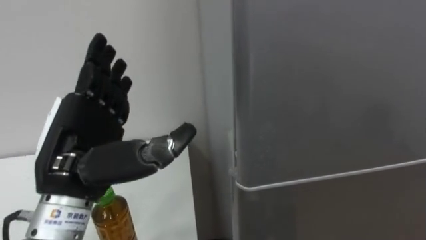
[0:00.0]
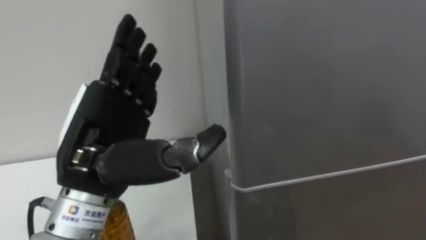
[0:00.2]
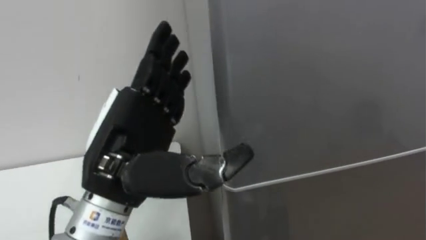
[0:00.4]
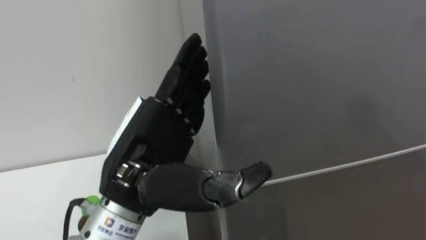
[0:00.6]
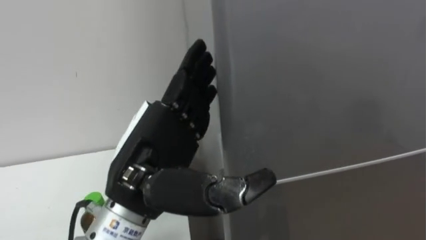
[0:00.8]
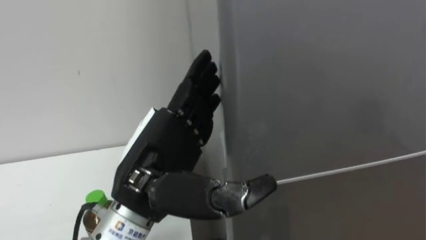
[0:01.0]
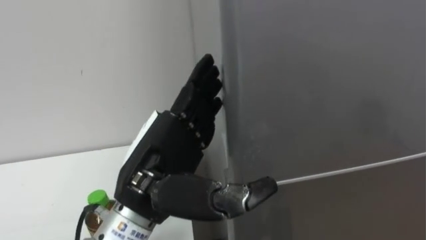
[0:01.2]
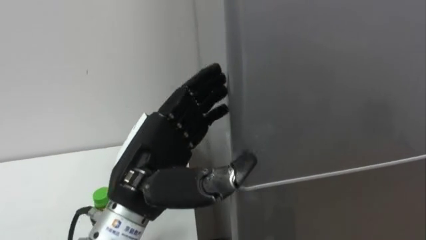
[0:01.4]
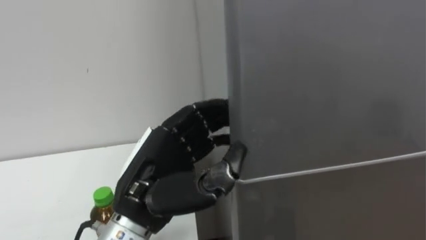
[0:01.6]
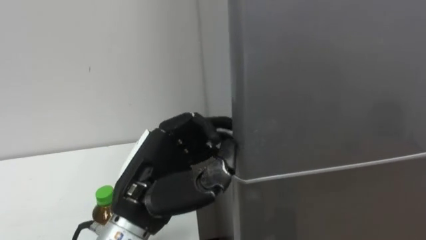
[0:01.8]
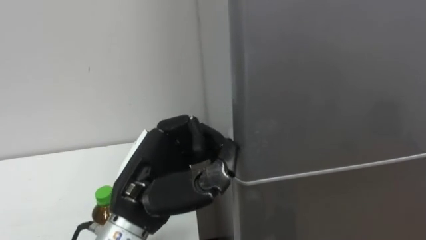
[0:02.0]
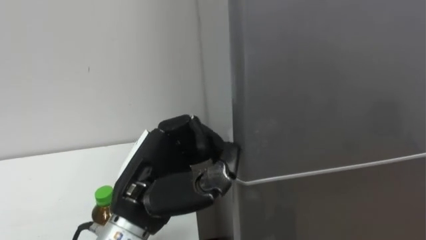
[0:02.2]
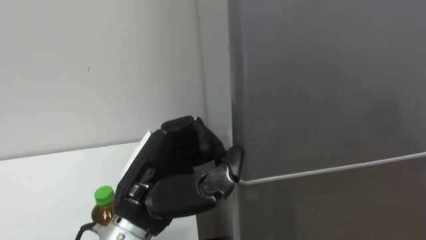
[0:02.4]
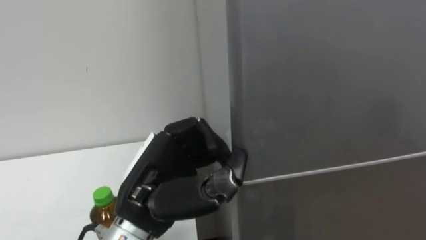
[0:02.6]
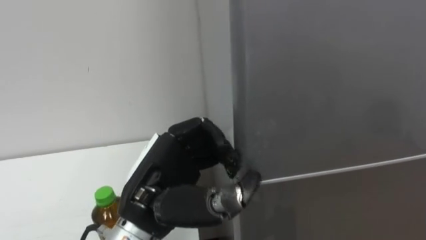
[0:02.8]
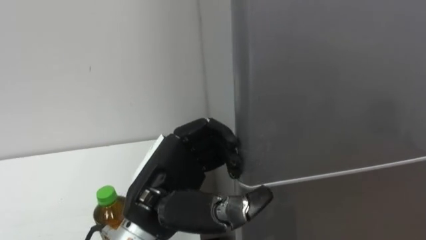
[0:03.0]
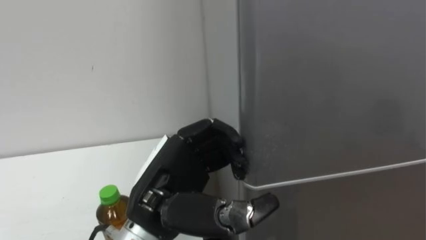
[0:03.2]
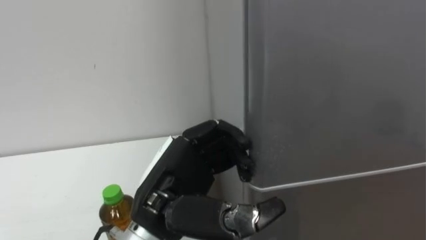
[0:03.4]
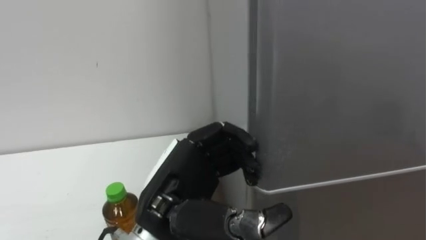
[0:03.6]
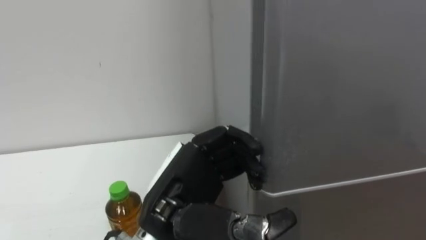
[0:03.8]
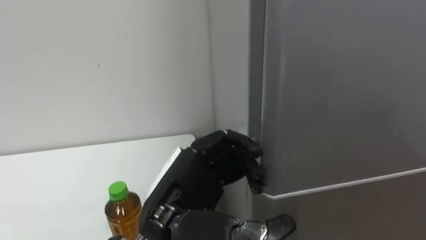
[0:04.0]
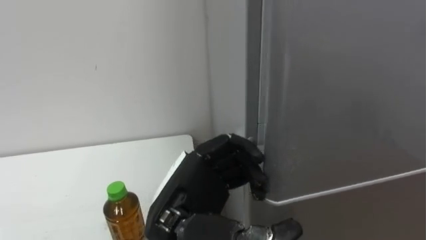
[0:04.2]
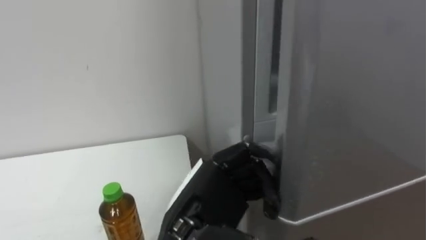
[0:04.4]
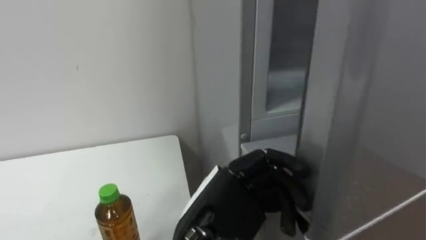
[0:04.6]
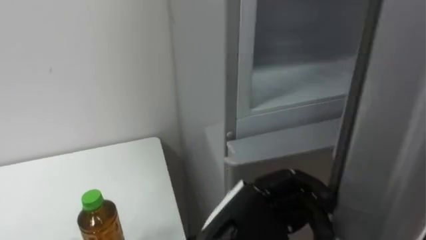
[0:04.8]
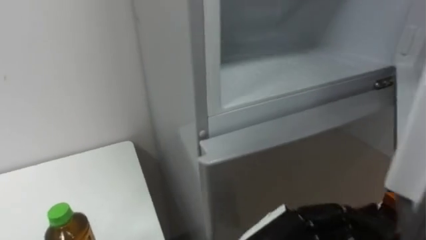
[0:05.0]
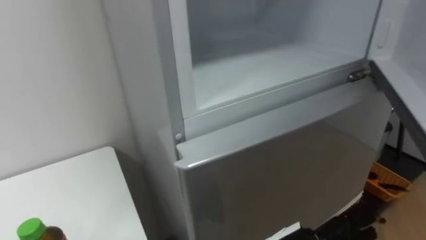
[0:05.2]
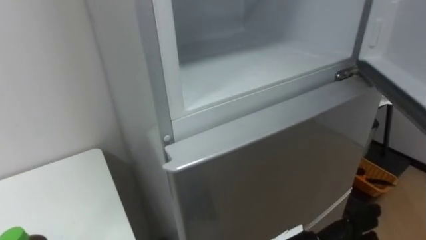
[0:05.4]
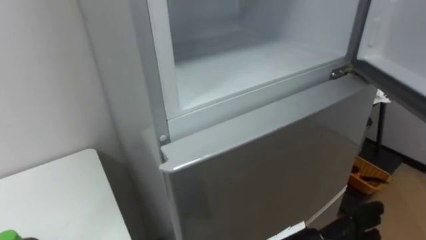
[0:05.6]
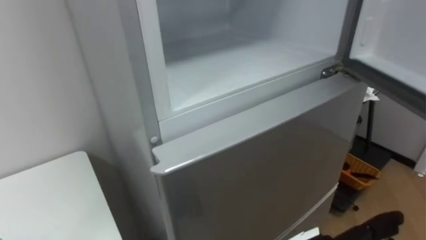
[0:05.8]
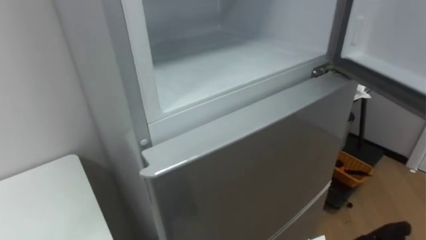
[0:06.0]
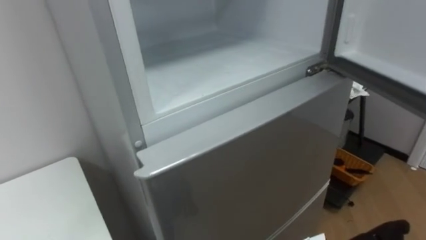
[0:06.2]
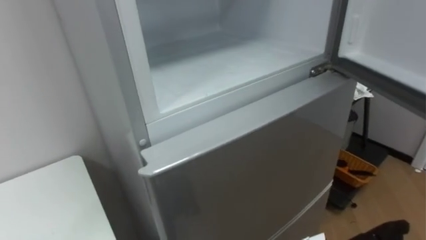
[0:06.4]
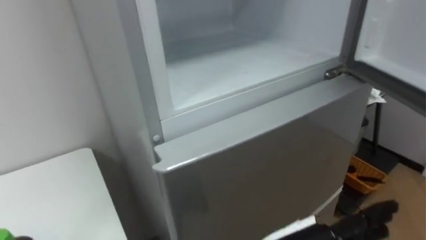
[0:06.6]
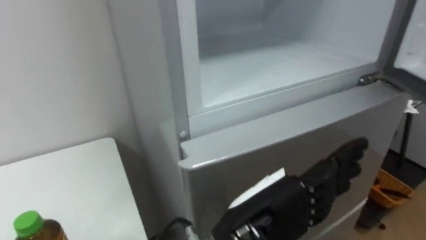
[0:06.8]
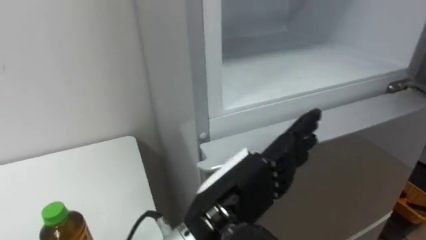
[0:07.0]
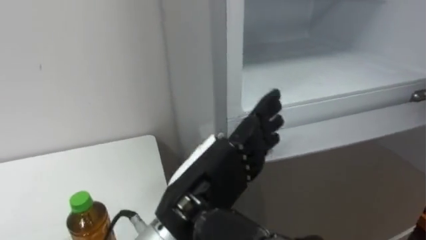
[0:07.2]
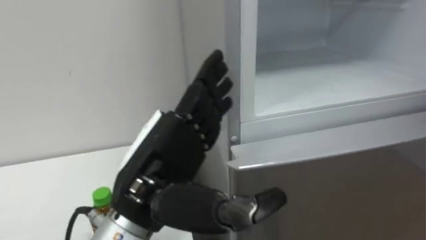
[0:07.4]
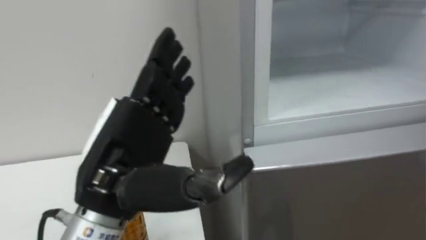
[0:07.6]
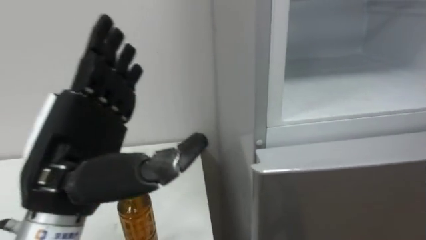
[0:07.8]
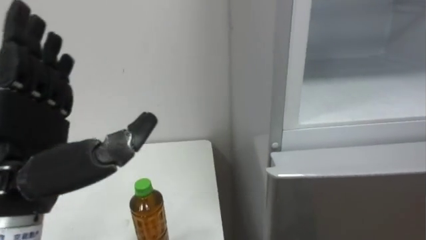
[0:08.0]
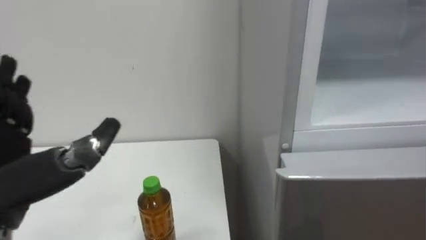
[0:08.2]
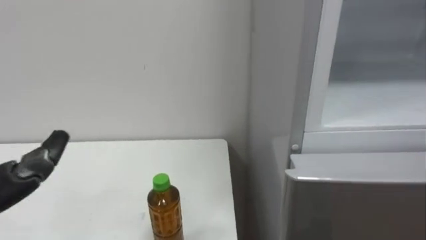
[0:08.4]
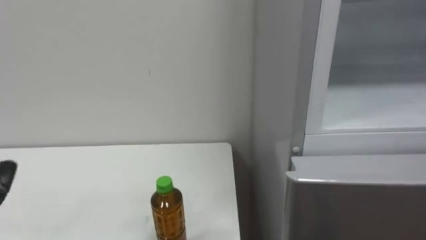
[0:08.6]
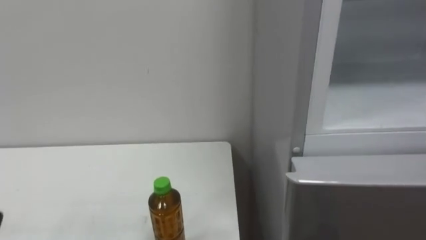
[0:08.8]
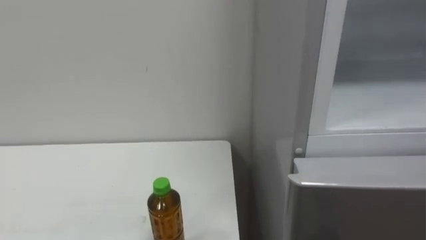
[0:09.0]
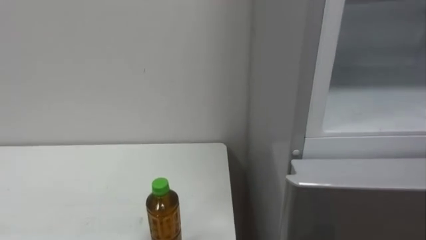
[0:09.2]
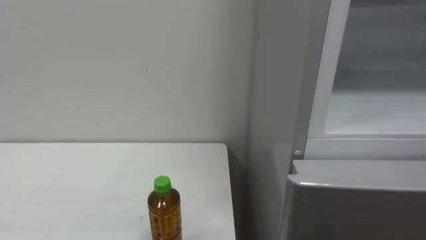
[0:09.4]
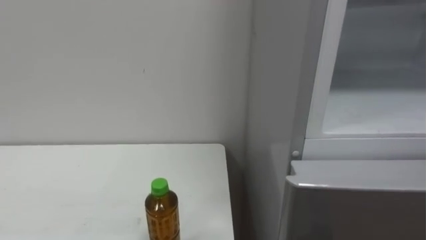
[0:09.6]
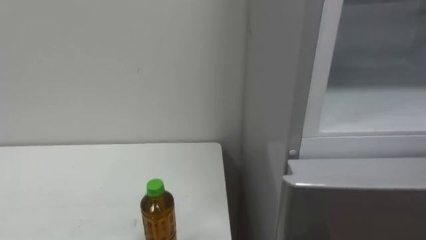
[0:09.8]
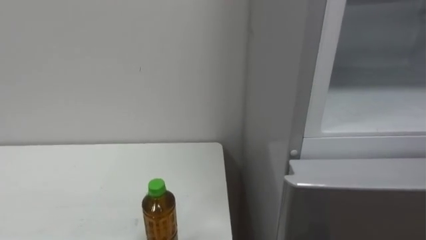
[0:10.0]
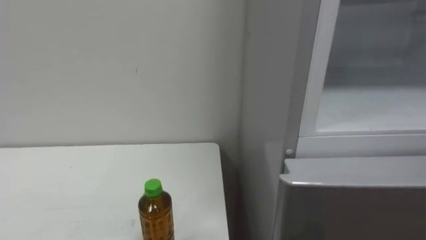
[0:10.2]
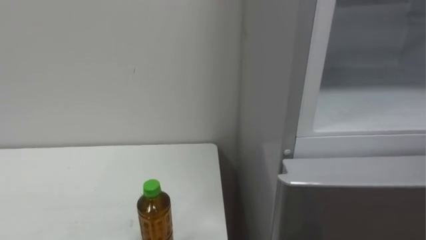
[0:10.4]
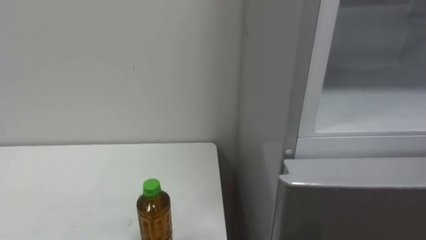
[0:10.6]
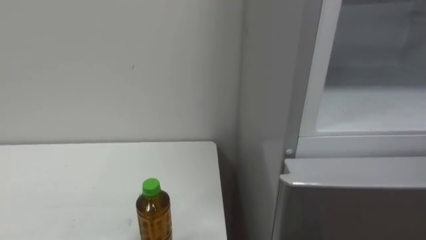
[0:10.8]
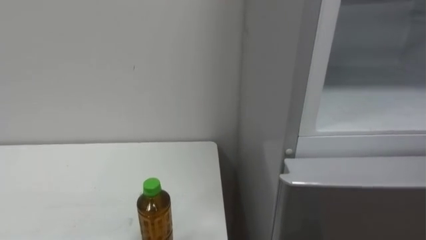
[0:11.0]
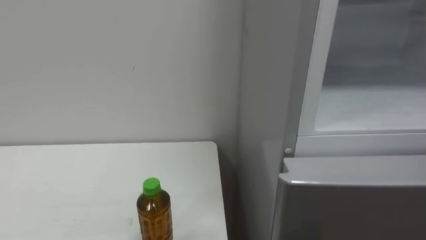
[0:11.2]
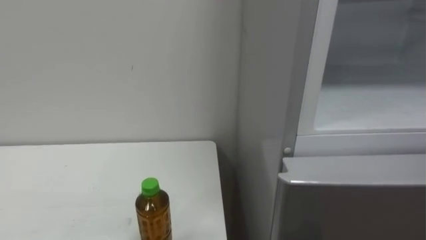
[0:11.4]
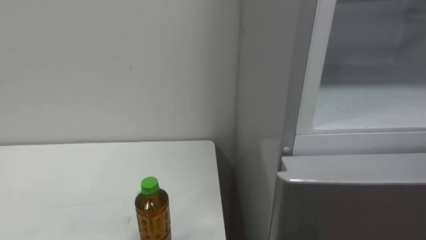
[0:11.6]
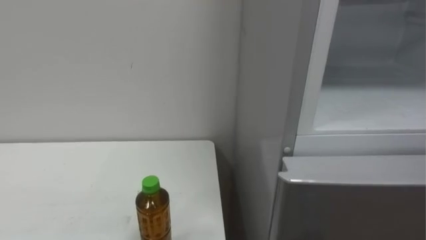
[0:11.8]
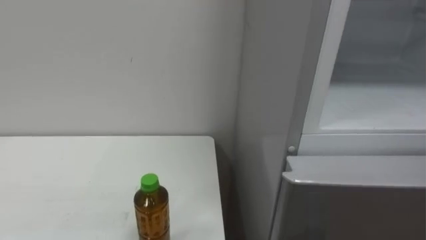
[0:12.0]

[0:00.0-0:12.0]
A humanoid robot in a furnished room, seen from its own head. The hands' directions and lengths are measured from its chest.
Task of the whole recording: Open the upper refrigerator door, put the drink from the table into the refrigerator, and then close the refrigerator door.
0:00.0 to 0:01.6: The left hand shifts about 10 cm to the right, and closes.
0:03.0 to 0:04.4: The left hand ends up some 5 cm from where it was, and opens up.

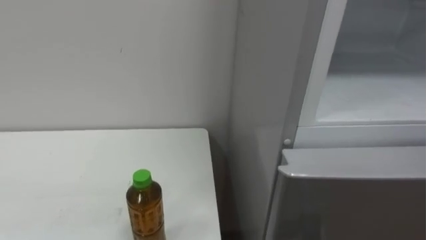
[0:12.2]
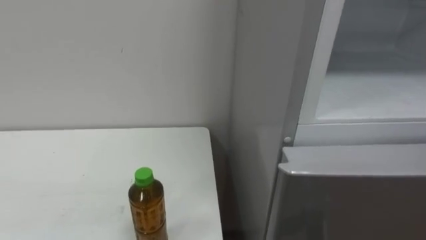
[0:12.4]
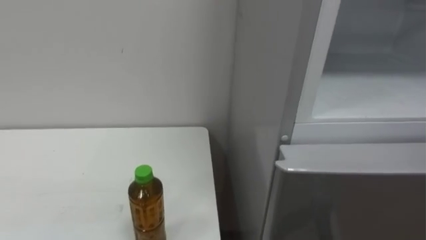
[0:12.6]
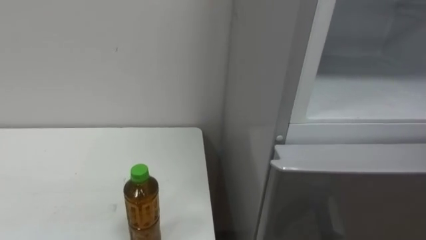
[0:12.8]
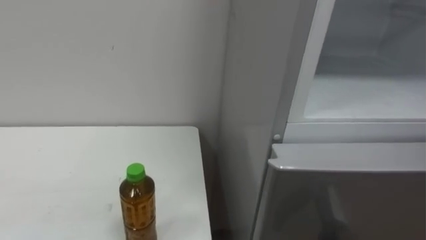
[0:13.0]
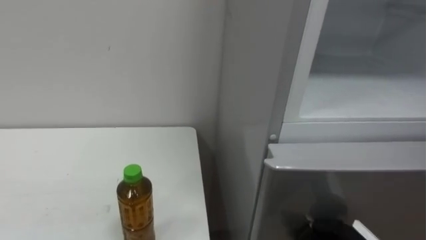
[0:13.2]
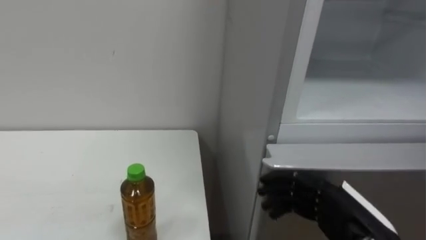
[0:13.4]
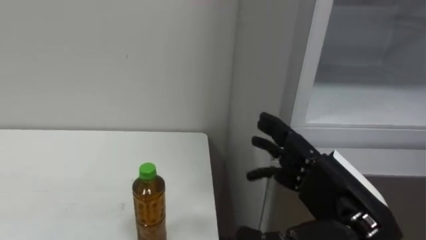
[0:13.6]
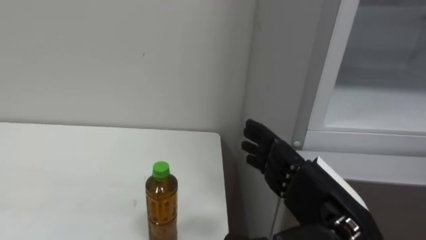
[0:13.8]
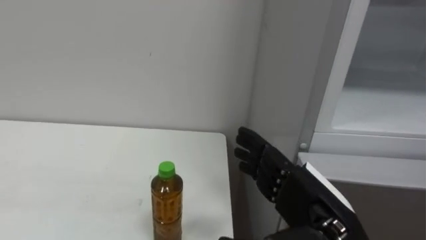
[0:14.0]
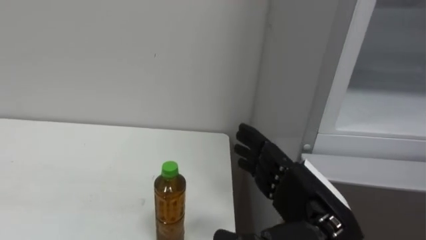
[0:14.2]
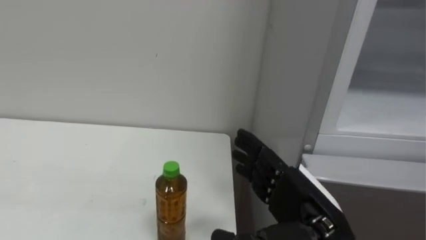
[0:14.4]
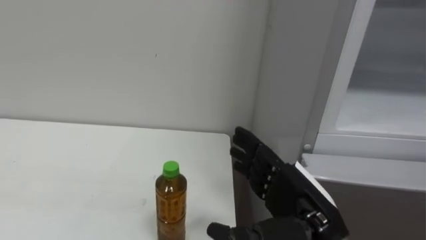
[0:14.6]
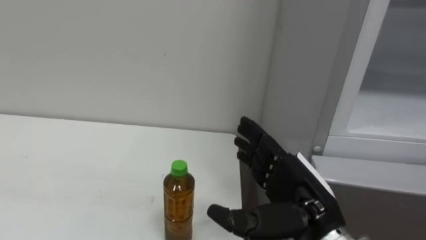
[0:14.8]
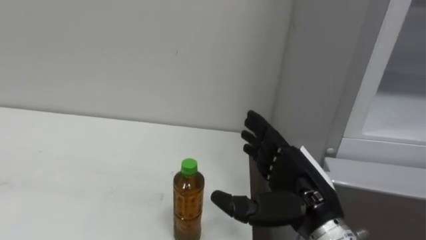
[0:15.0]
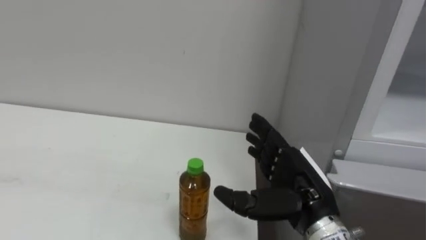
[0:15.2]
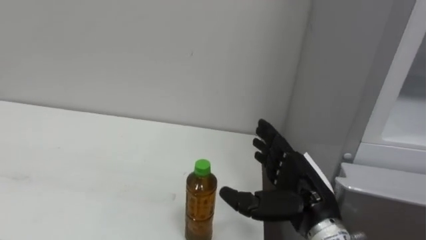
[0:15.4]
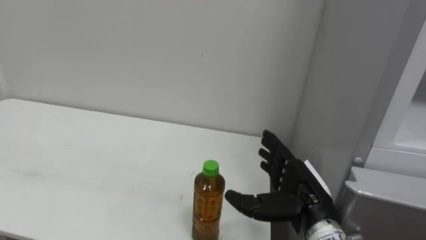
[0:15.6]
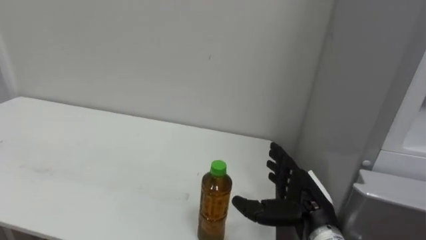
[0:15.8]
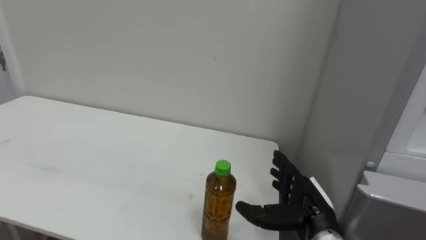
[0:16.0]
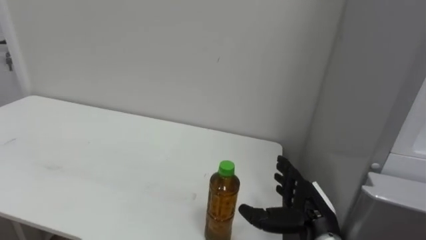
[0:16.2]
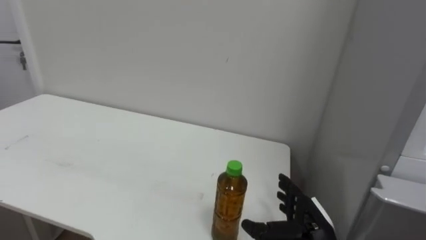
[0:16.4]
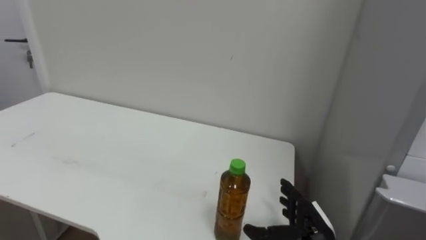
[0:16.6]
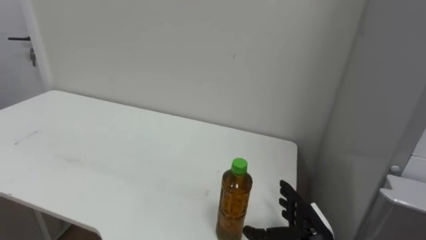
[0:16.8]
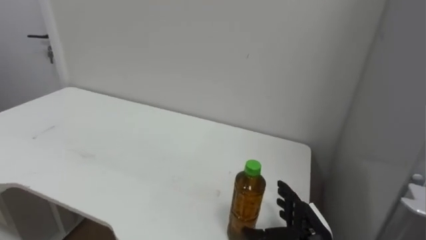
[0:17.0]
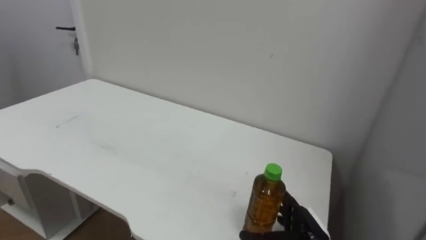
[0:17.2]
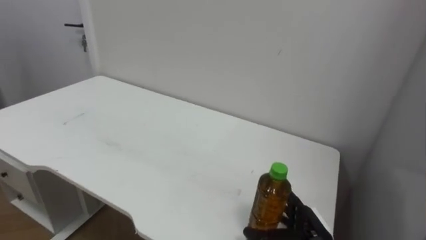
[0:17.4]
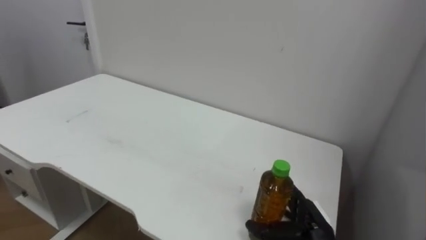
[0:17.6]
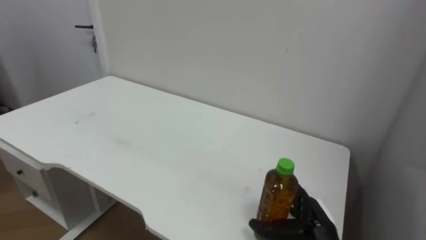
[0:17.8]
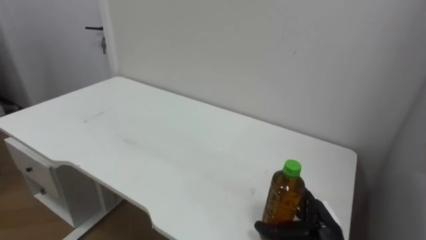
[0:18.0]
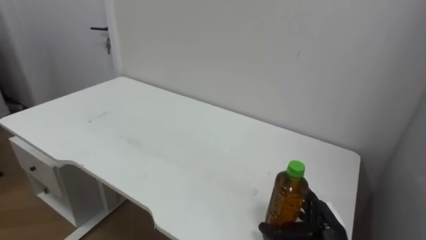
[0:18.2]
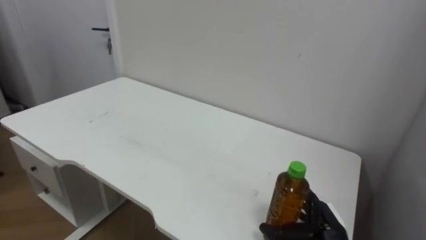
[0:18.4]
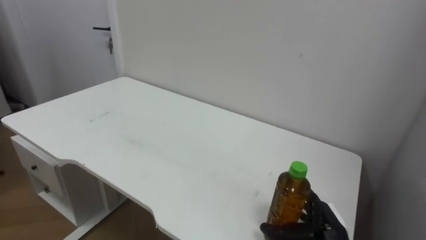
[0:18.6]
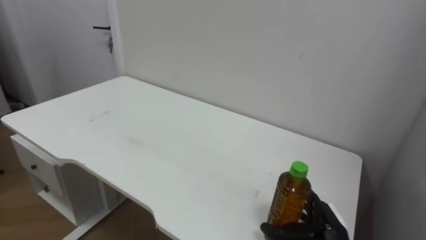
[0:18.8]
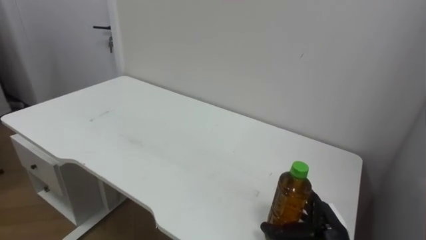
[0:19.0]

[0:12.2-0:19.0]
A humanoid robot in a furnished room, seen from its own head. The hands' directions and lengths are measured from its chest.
Task of the whole recording: Open the upper refrigerator door, put the drink from the table into the refrigerator, and then close the refrigerator door.
0:13.6 to 0:15.0: The right hand shifts by approximately 5 cm.
0:15.0 to 0:16.2: The right hand heads downward, covering about 10 cm.
0:16.2 to 0:17.6: The right hand moves downward, about 5 cm.
